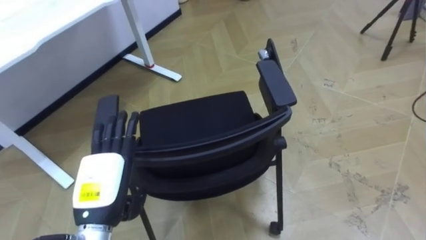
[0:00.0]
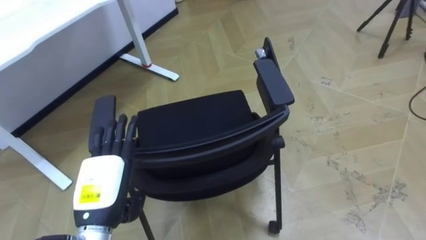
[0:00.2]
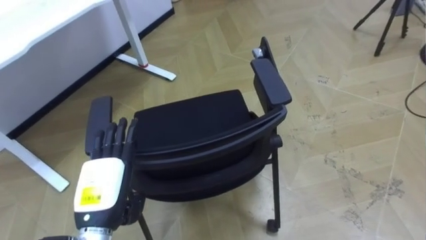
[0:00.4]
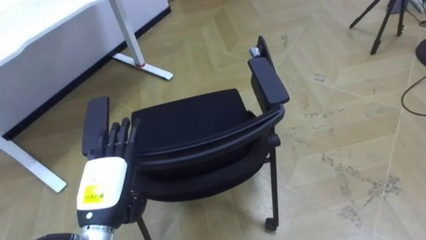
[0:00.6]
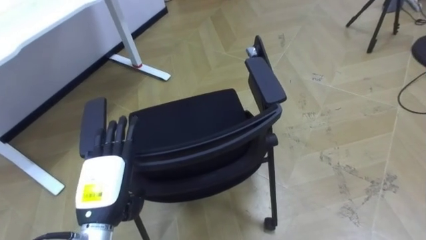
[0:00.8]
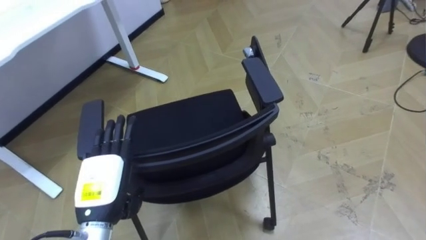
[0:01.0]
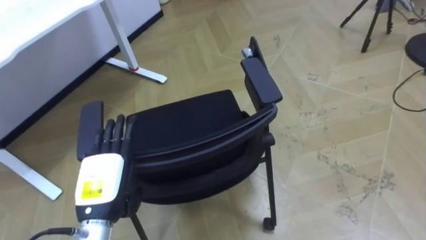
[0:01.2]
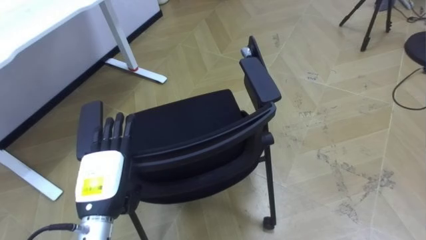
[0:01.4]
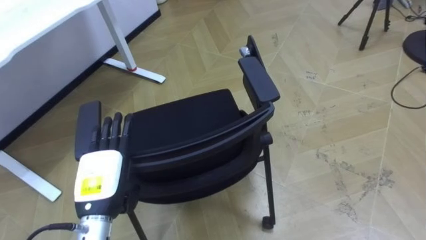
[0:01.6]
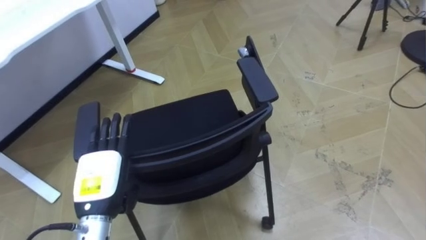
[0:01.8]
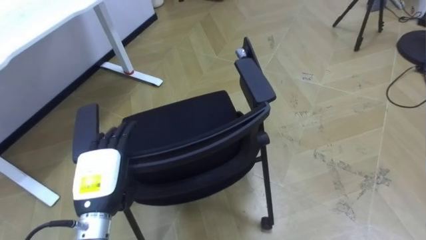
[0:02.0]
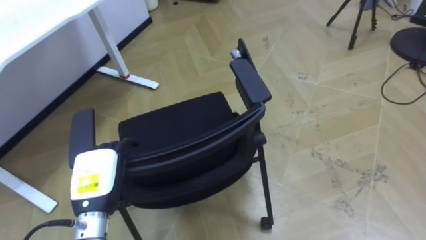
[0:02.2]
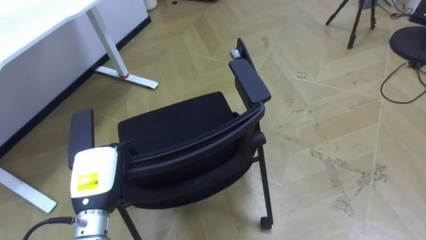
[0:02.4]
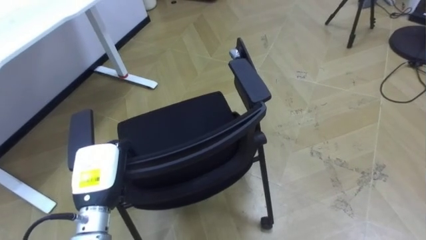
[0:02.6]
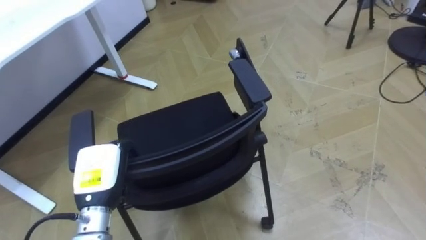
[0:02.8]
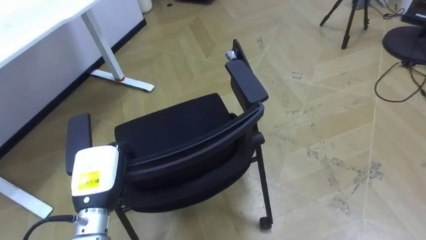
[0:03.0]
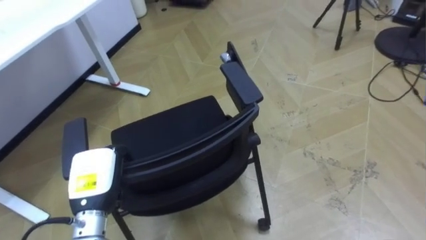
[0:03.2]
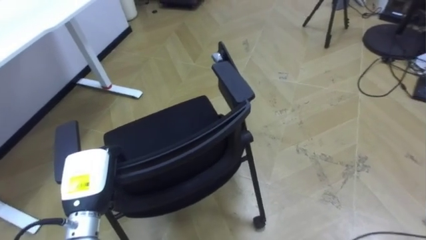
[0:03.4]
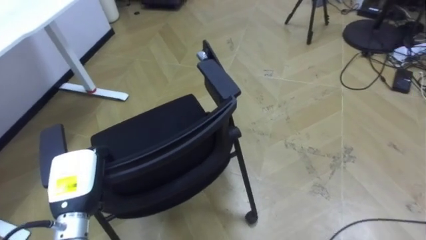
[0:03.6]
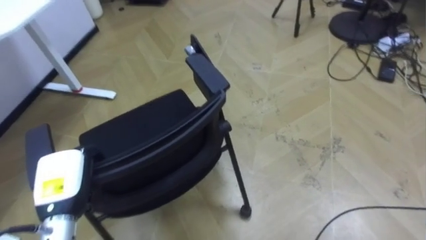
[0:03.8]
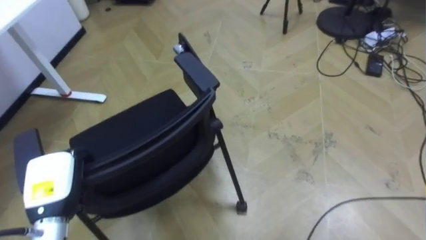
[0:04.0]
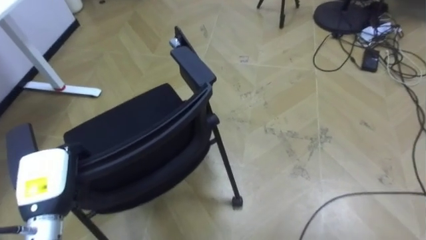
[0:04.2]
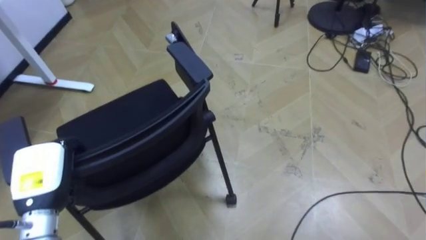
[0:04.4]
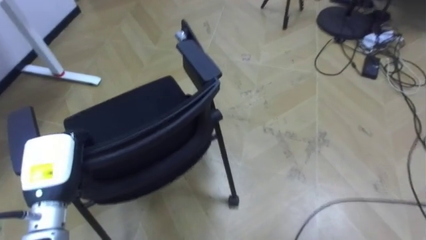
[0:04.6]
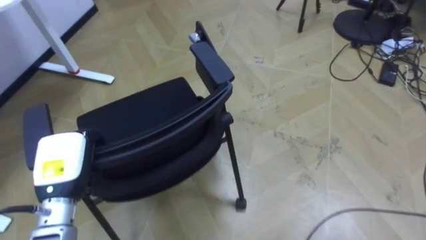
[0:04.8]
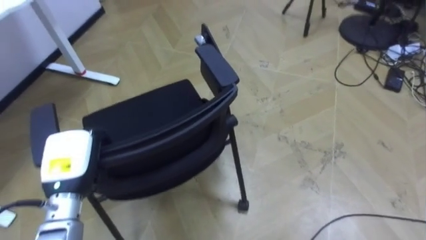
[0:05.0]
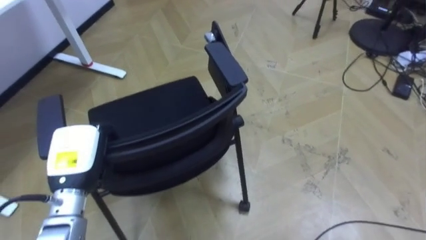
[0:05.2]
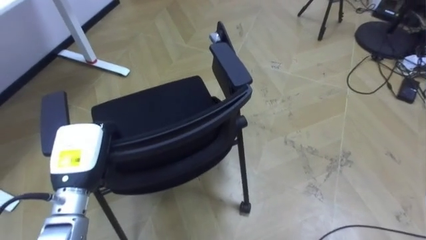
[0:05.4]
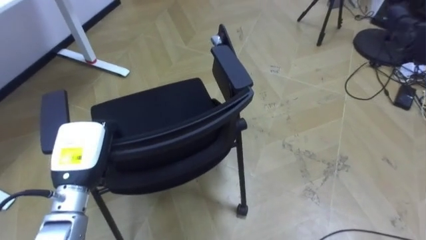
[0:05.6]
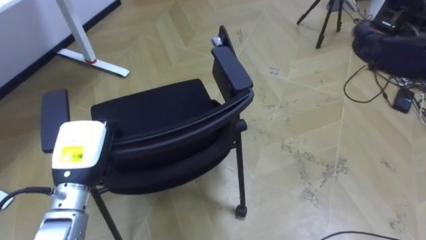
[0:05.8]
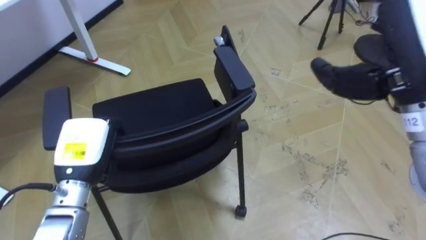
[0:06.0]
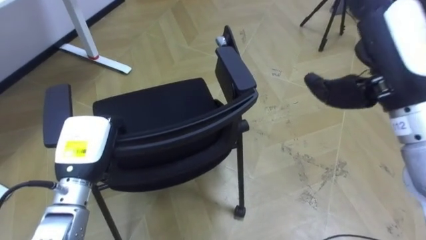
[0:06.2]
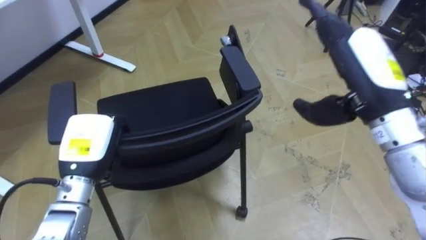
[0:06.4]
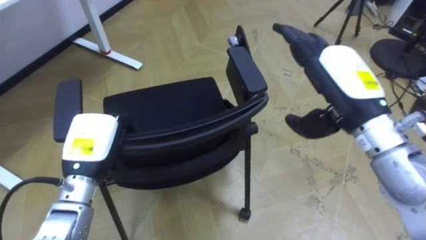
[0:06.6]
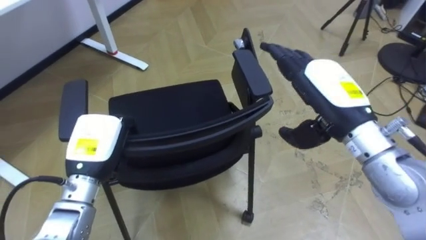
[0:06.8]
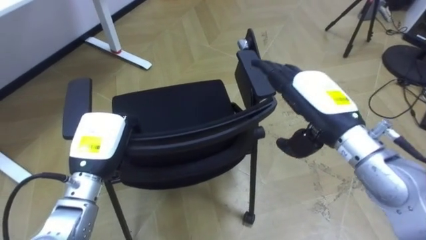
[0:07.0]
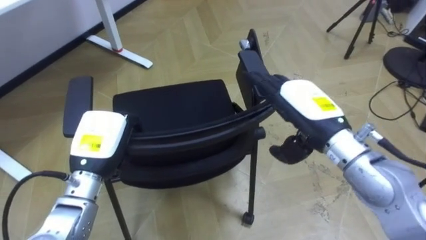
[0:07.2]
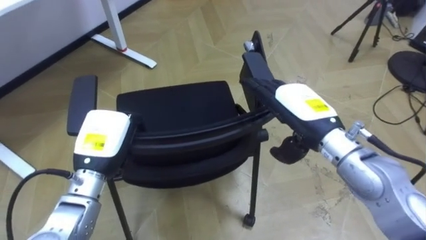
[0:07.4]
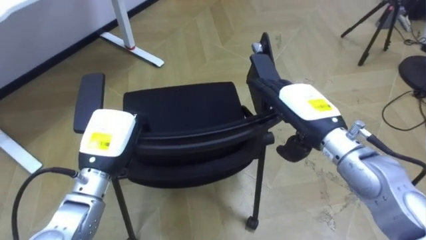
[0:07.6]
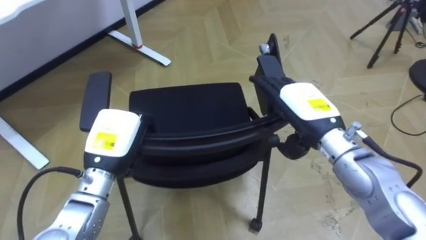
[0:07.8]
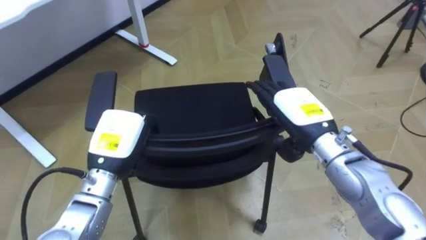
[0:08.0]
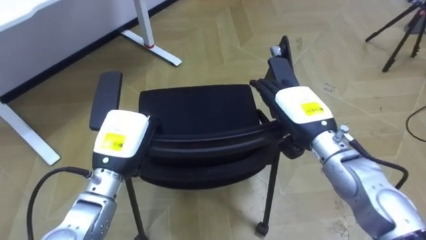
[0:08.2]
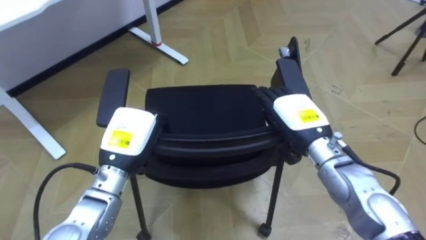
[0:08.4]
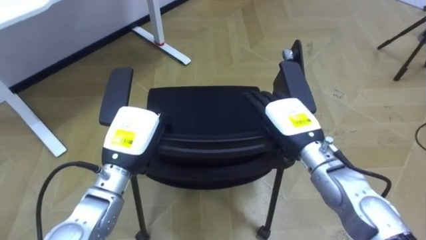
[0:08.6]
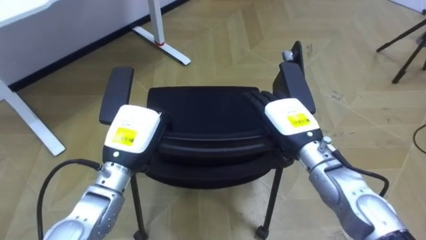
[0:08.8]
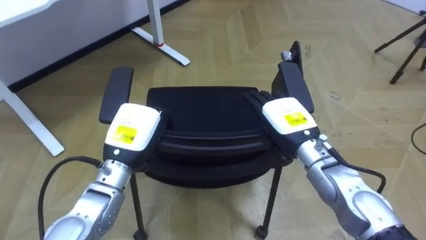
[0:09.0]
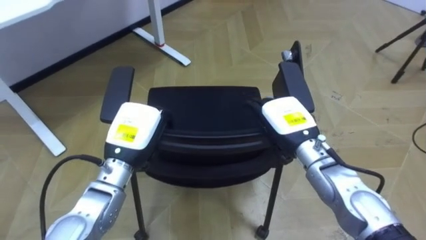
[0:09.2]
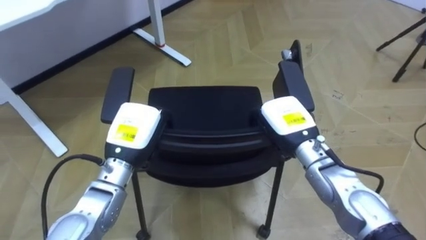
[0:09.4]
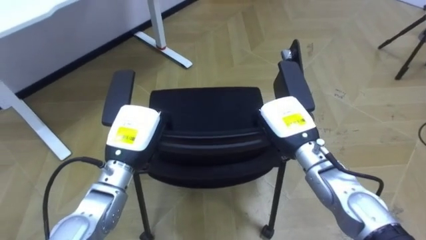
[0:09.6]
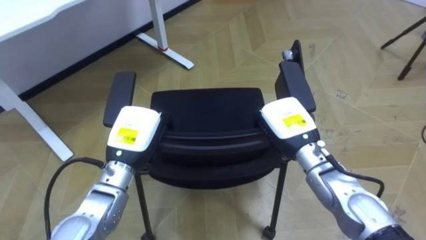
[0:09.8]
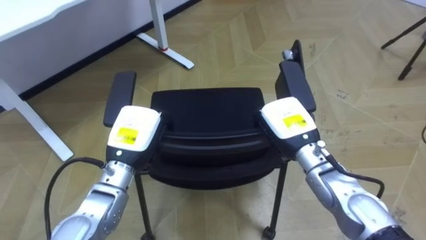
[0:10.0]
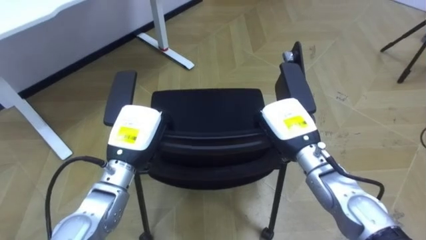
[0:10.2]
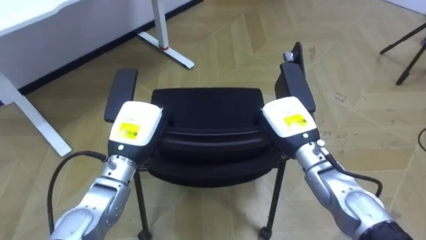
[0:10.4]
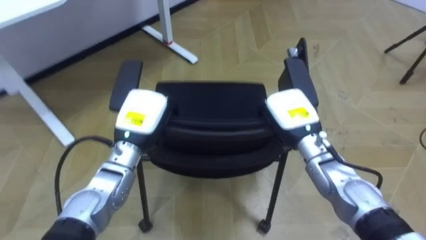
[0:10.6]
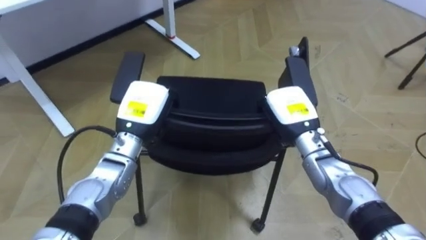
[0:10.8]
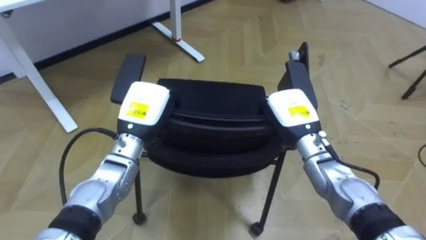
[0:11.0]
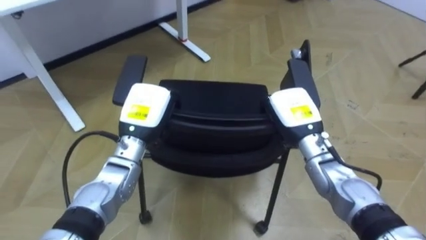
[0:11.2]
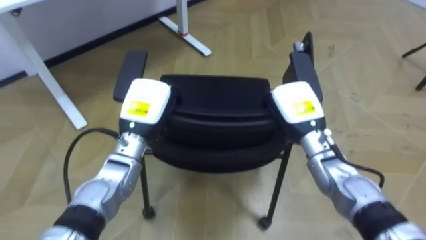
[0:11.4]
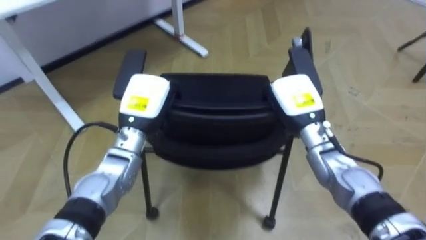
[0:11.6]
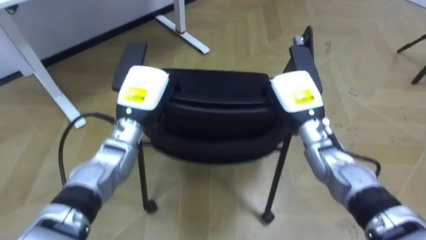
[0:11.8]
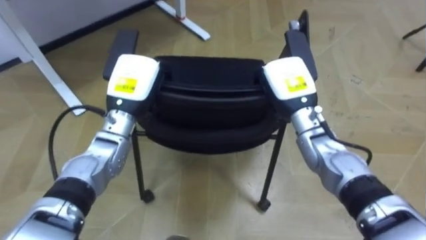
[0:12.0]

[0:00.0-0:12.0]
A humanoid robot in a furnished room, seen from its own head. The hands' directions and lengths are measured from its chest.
Task of the whole recording: Push the chair under the table.
0:01.6 to 0:03.0: The left hand closes up.
0:03.0 to 0:04.4: The left hand is displaced to the left by some 10 cm.
0:04.4 to 0:06.0: The left hand is displaced to the right by some 5 cm.
0:06.0 to 0:07.6: The right hand moves downward, about 15 cm.
0:07.6 to 0:09.0: The right hand travels downward by some 5 cm.
0:09.0 to 0:10.4: The right hand closes its fingers.
0:10.4 to 0:12.0: The left hand shifts approximately 10 cm forward and upward, while the right hand shifts roughly 5 cm forward.

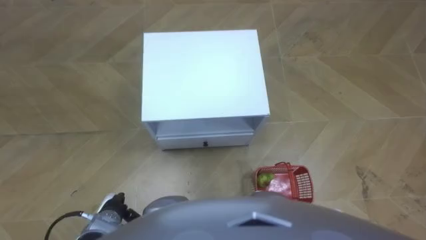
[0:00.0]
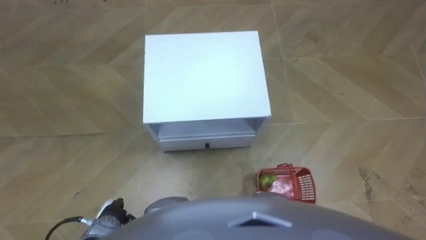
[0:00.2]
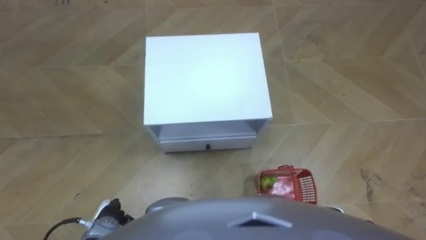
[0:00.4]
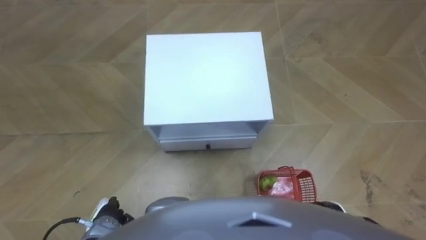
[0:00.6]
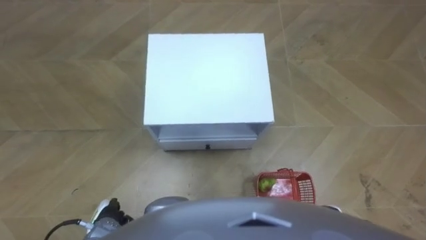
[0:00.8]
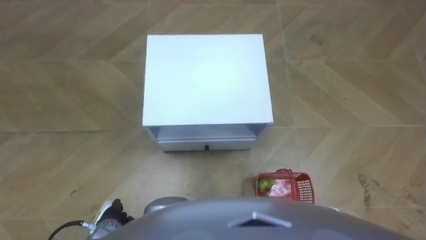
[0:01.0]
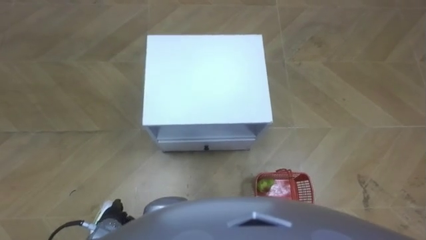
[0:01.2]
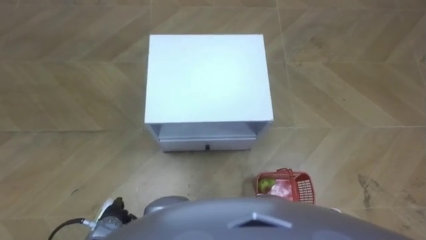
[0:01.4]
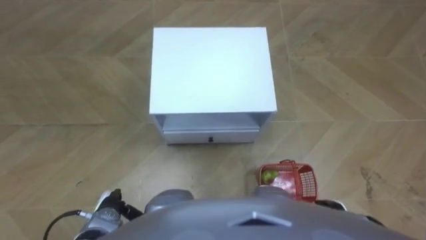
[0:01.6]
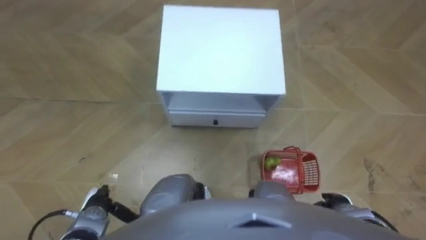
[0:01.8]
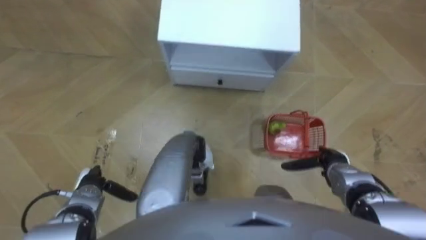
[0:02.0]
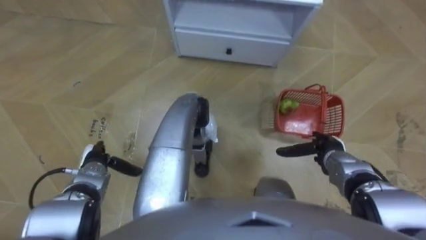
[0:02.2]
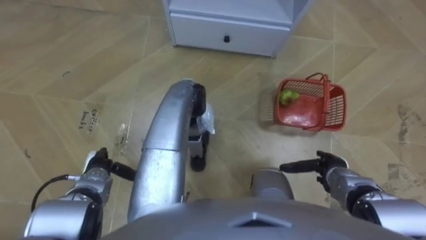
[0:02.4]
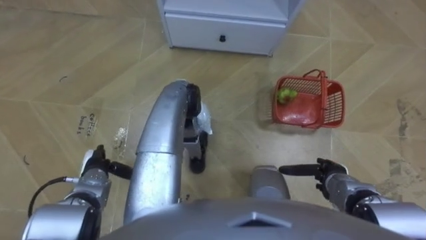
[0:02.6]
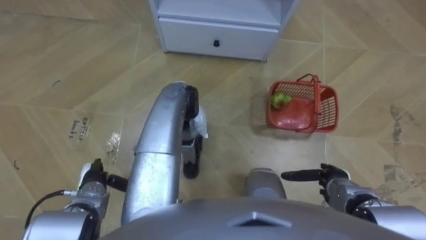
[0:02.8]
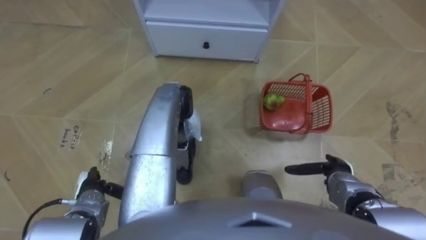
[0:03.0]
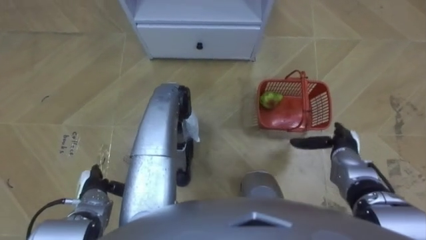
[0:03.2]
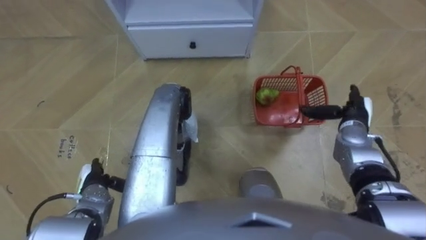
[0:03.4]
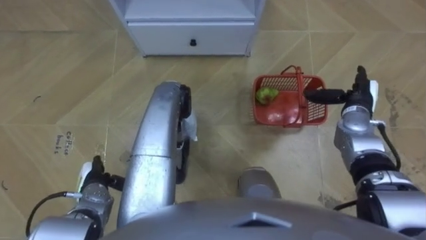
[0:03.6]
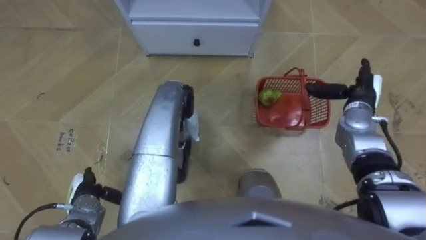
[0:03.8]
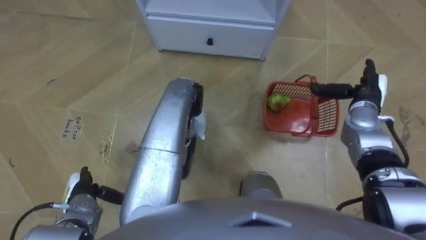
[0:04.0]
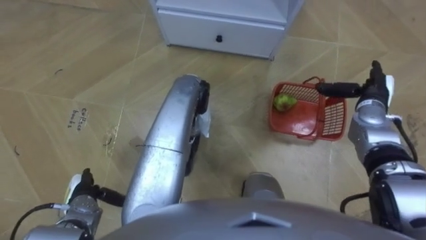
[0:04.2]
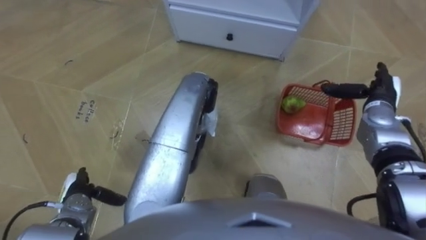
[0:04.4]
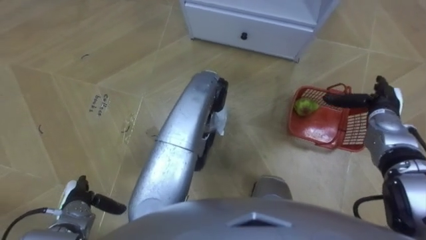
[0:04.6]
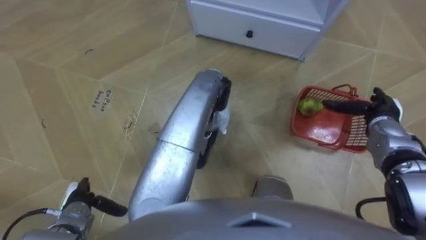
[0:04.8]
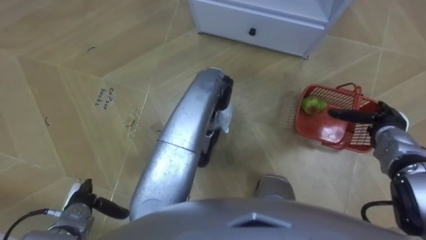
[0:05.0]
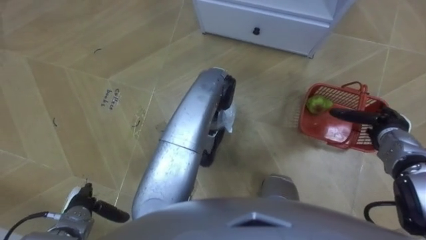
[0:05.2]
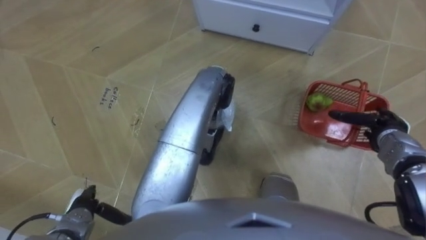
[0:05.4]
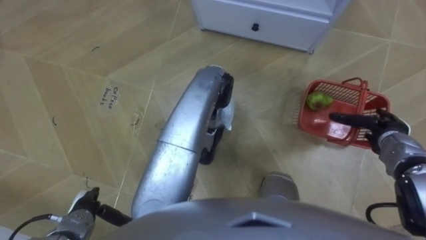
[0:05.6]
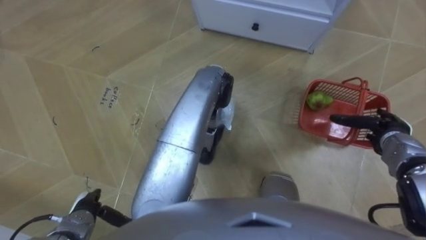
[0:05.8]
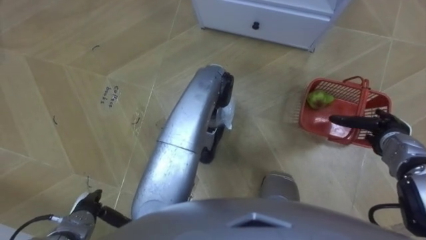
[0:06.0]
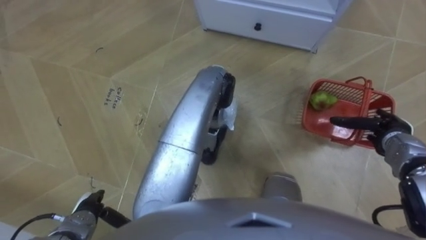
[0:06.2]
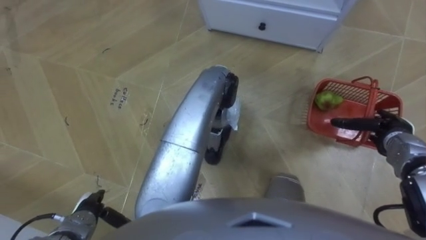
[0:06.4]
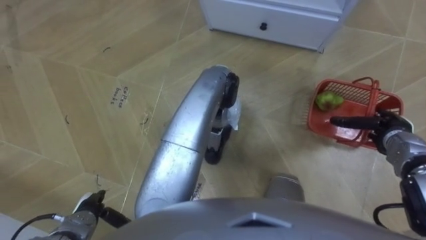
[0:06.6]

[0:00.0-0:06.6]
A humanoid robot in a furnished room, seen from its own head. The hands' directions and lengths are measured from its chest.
Task of the whole recording: Pick up the fruit basket from the floor and place it on the cabinet.
0:01.6 to 0:03.2: The right hand moves forward and backward over about 15 cm, changing direction 2 times; the left hand goes about 5 cm forward.
0:03.2 to 0:05.0: The right hand heads to the right and forward, covering roughly 10 cm.
